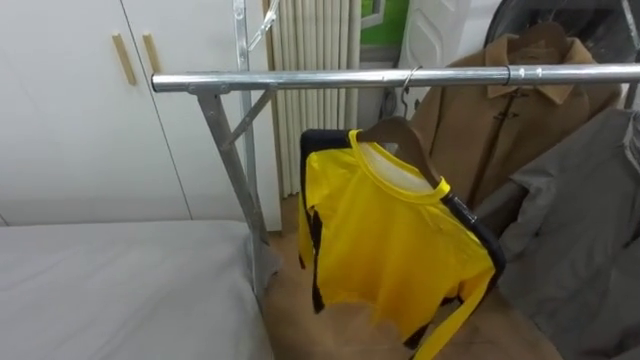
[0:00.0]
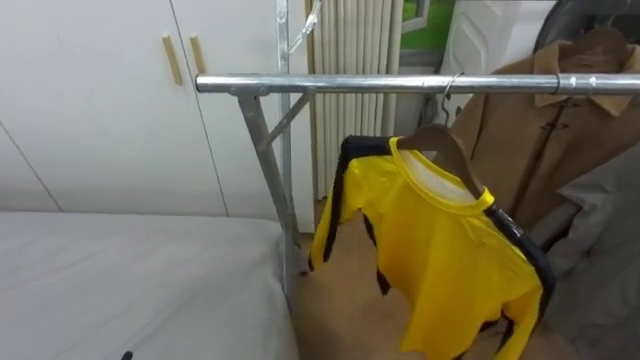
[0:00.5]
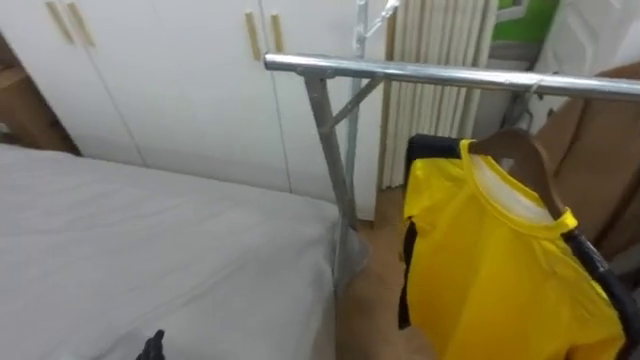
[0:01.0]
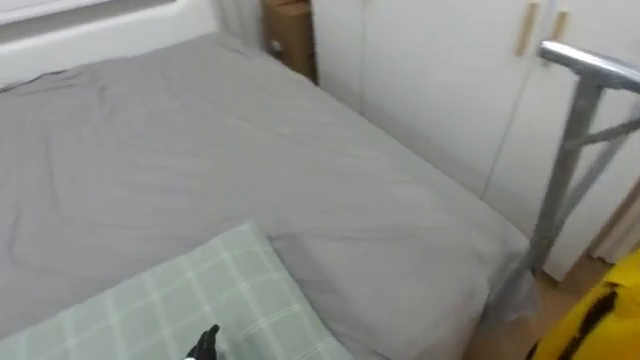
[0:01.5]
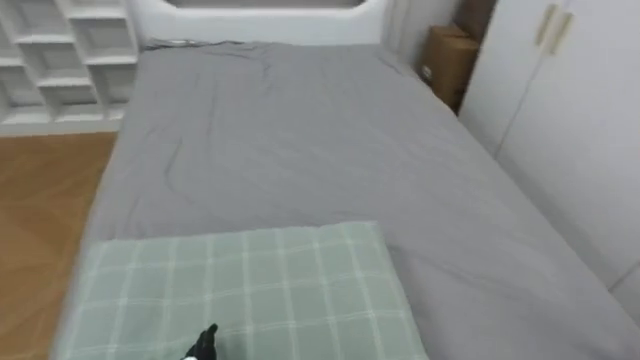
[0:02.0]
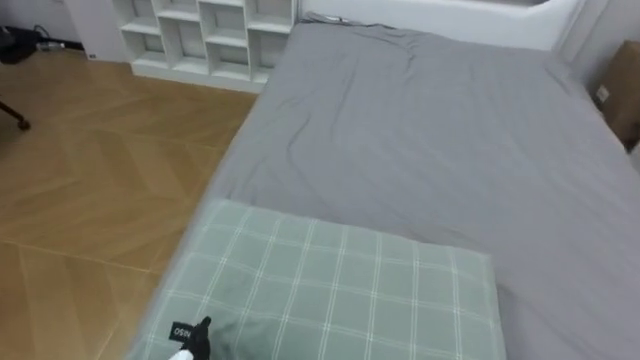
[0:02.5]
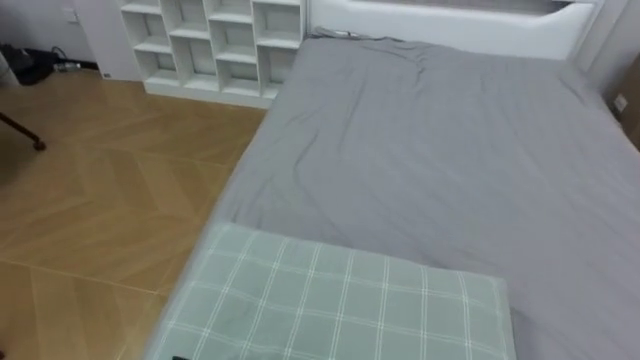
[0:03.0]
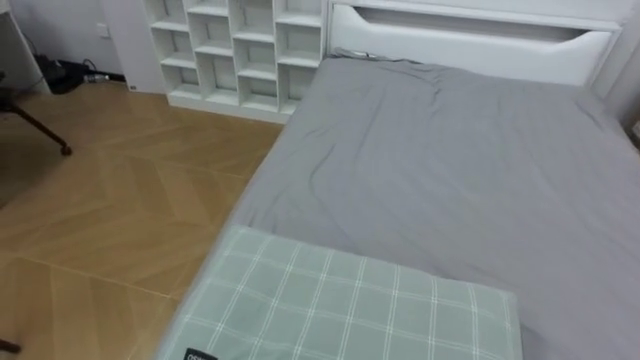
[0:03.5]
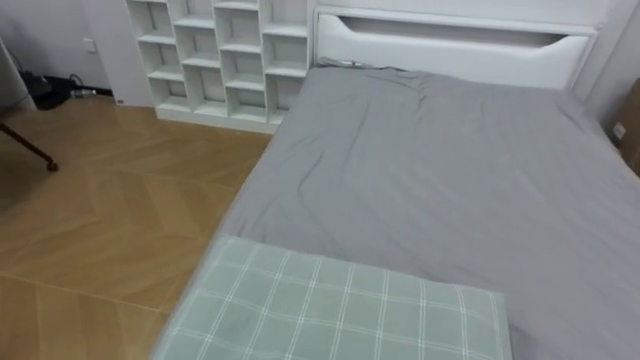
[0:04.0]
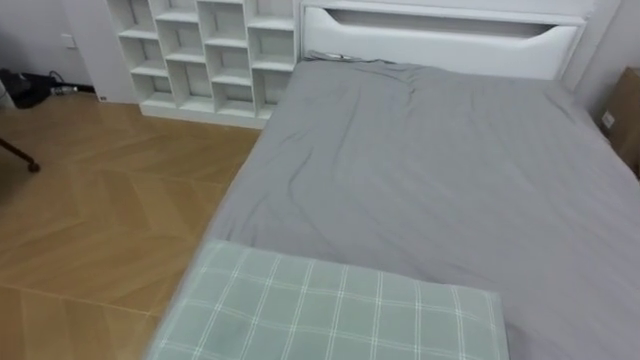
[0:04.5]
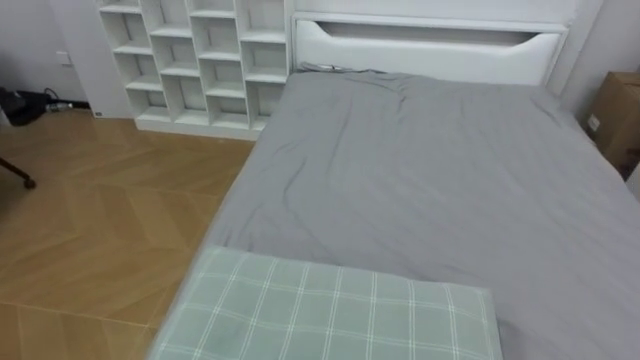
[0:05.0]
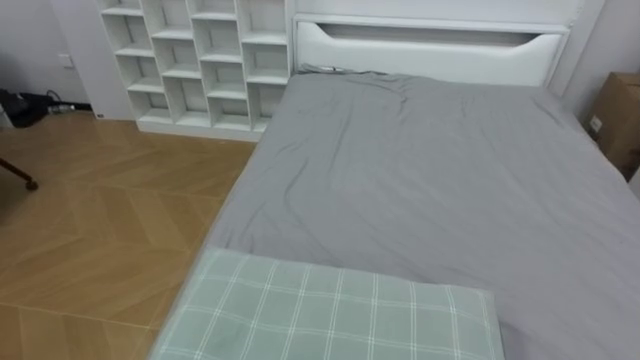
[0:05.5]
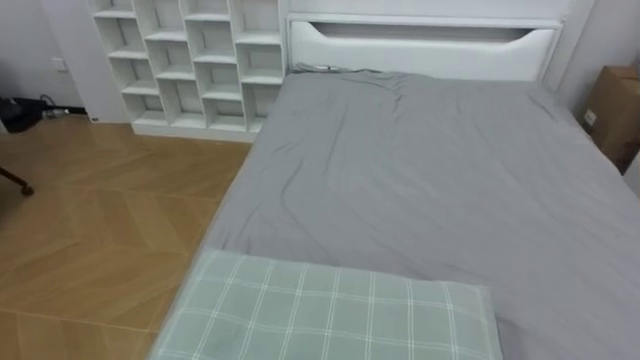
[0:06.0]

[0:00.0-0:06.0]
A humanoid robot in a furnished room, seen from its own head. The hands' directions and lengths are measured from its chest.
Task of the whole recording: Pick up the yellow shirt on the bed and hang it on the clothes rack on the right.
0:00.0 to 0:02.0: The robot turns to its left by about 80 degrees.
0:02.0 to 0:04.0: The robot rotates some 25 degrees to its left.

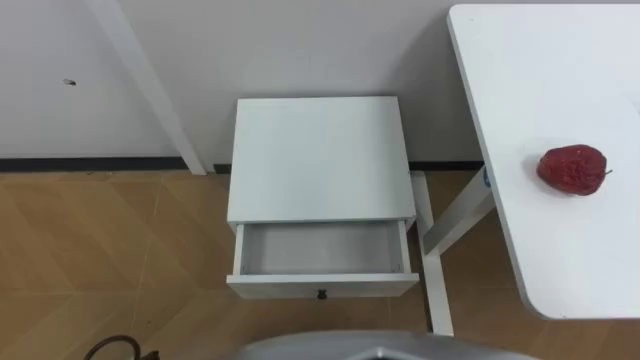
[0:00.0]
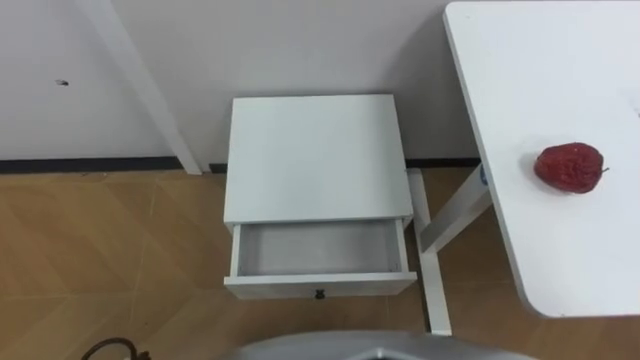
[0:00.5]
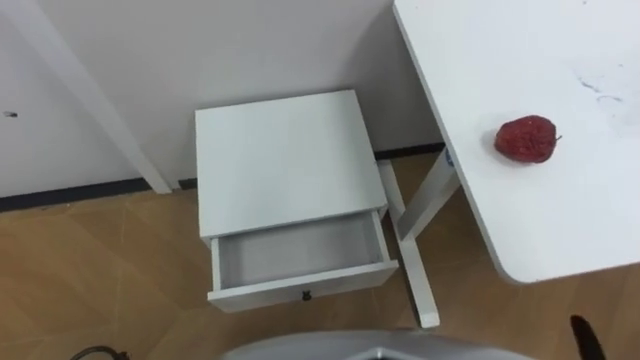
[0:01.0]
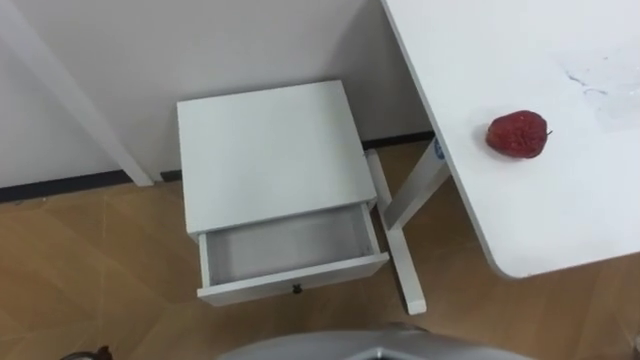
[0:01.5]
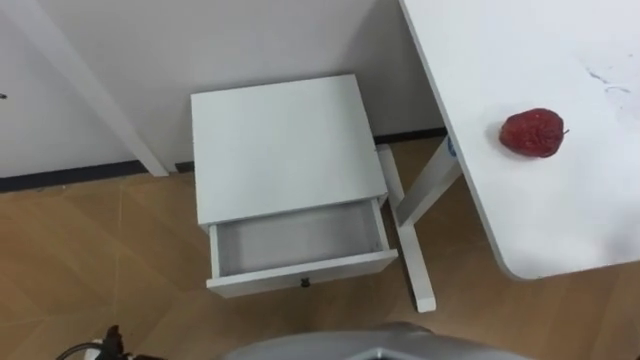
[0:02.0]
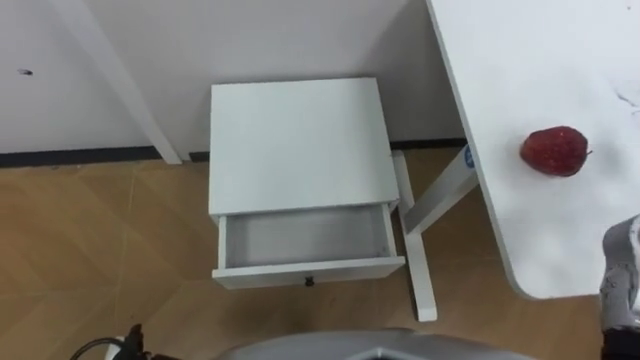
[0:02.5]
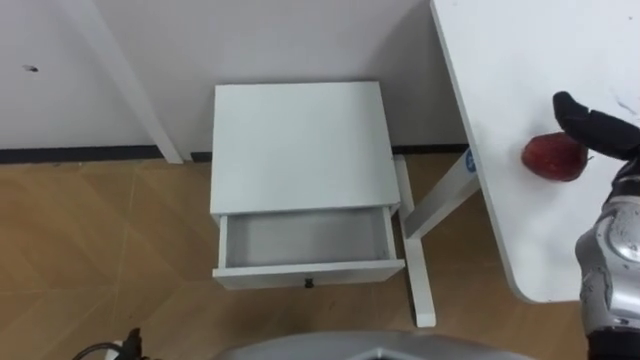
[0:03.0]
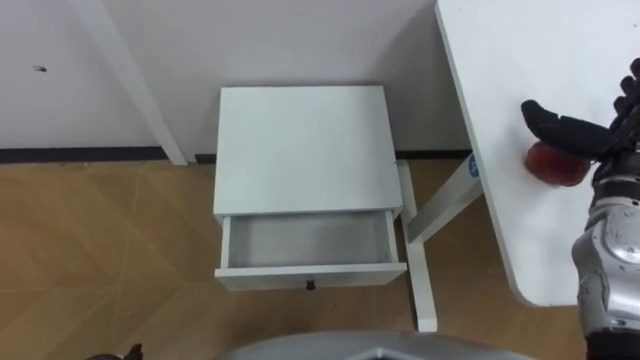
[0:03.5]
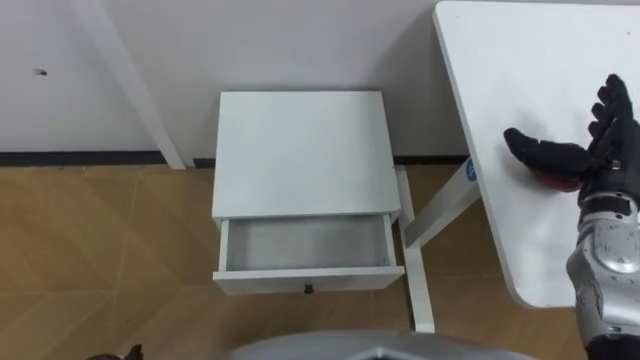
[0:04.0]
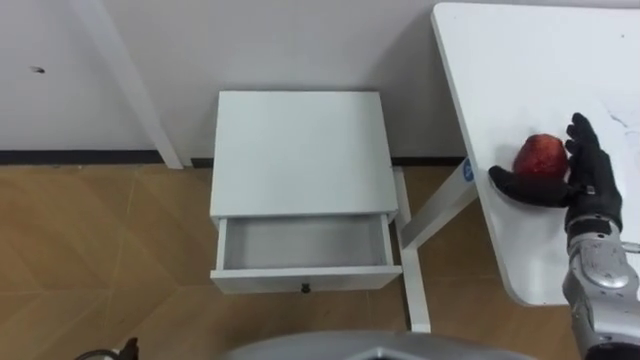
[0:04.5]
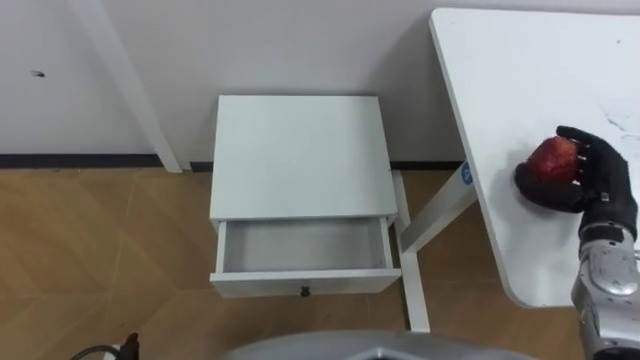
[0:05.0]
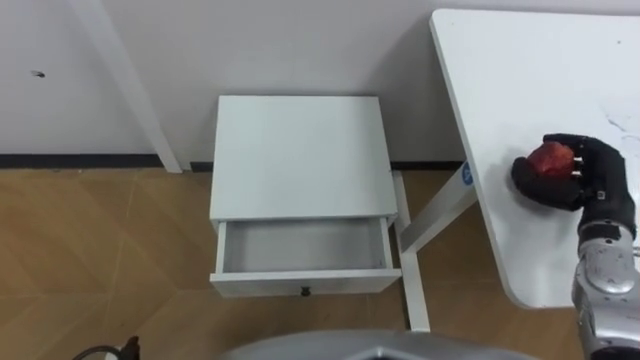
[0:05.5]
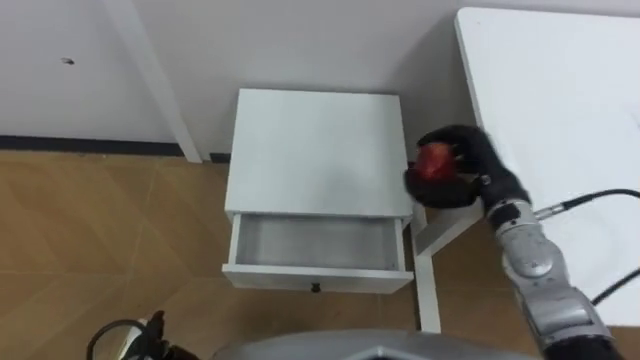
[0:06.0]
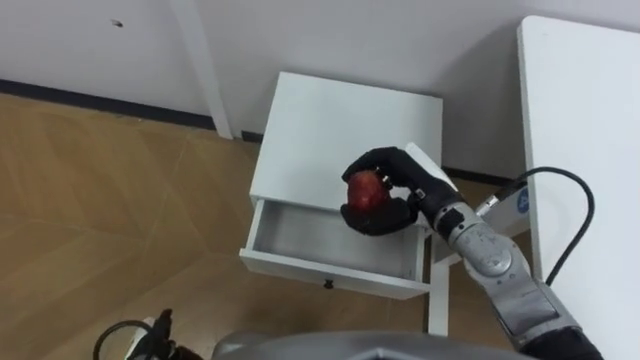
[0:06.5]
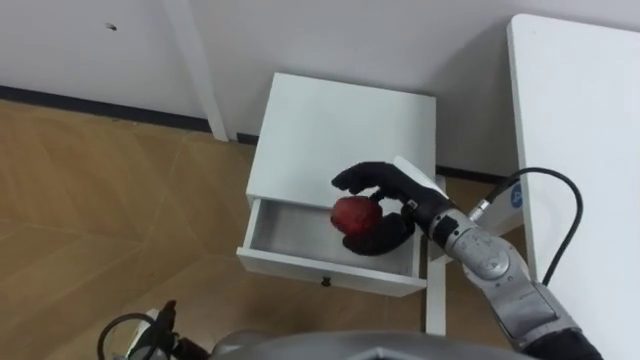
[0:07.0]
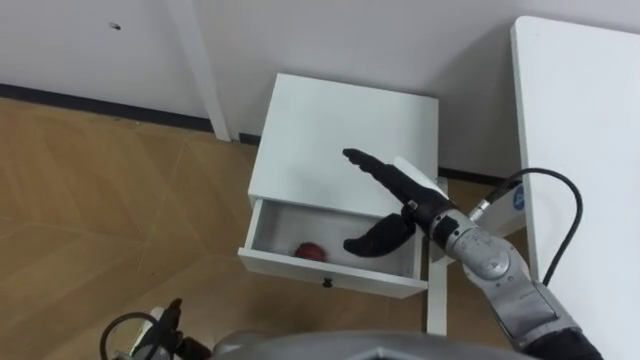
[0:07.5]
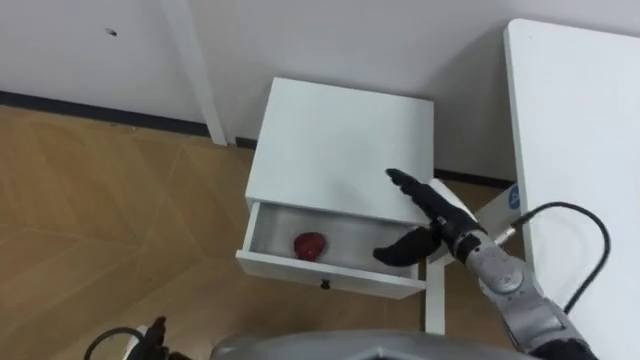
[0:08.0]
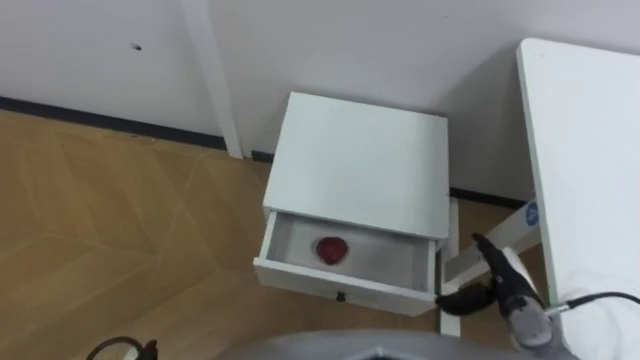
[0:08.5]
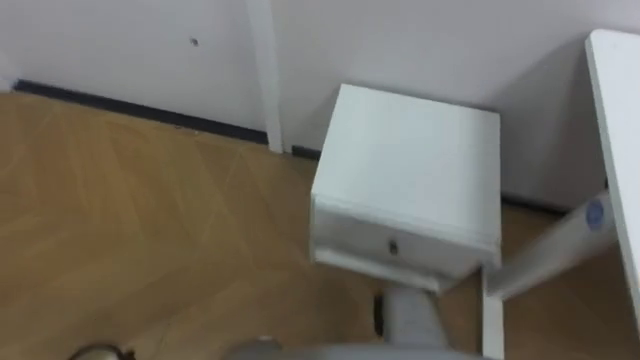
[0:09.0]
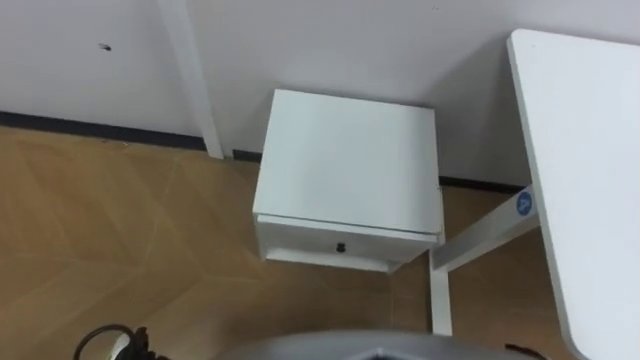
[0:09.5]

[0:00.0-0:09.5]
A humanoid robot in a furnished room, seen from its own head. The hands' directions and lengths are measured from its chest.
Task of the whole recording: Pick up the apple from the table, put it in the drawer, and close the drawer with leg.
0:04.0 to 0:05.5: The right hand closes its fingers.
0:05.5 to 0:07.5: The right hand is displaced to the left by about 25 cm, and opens up.

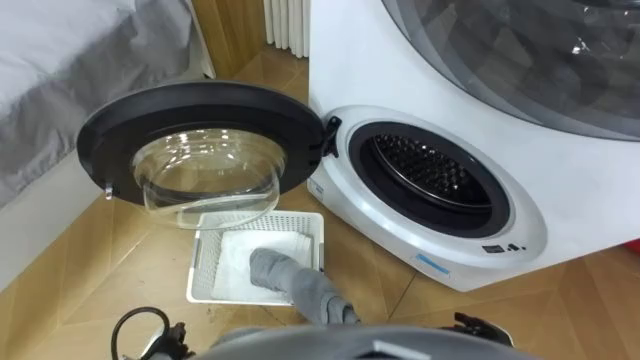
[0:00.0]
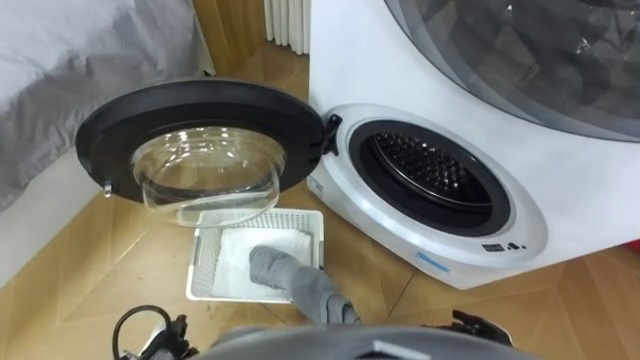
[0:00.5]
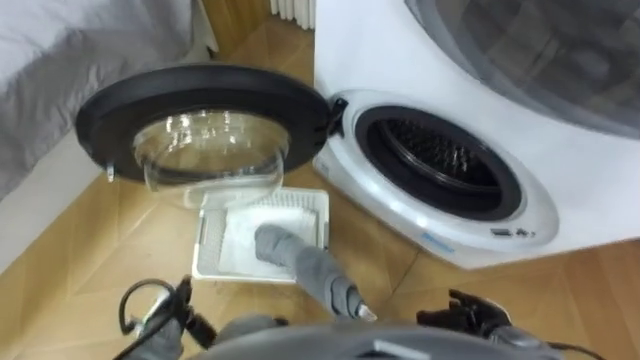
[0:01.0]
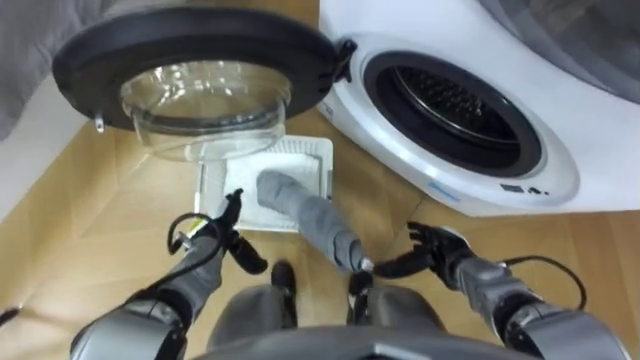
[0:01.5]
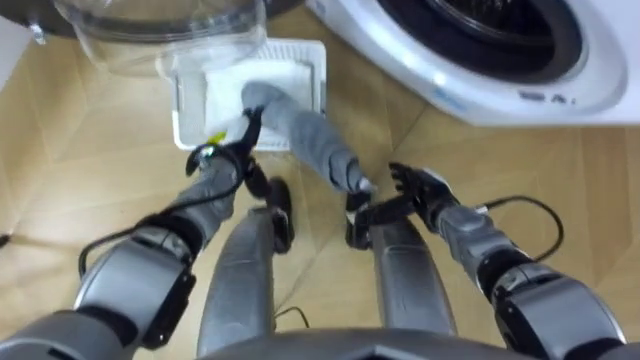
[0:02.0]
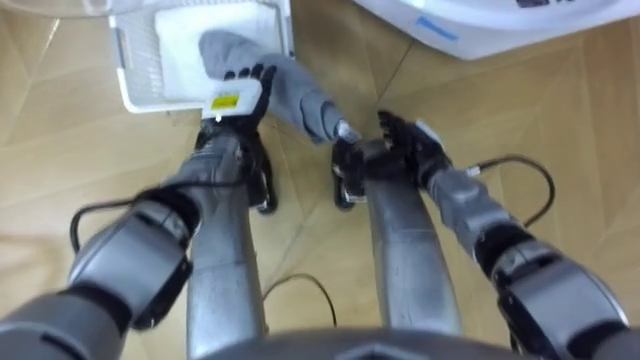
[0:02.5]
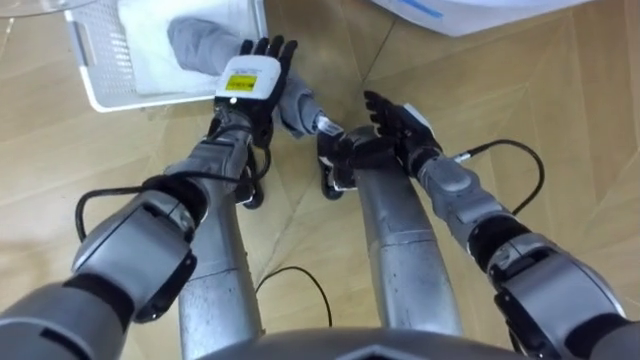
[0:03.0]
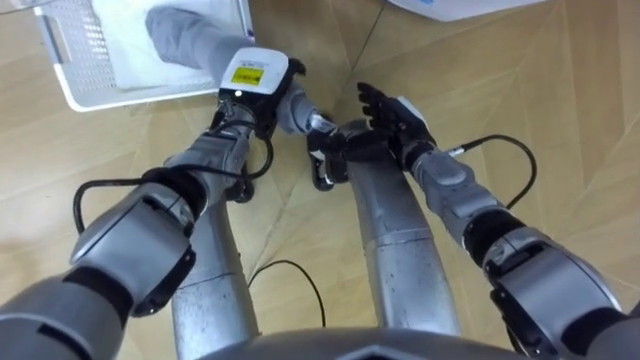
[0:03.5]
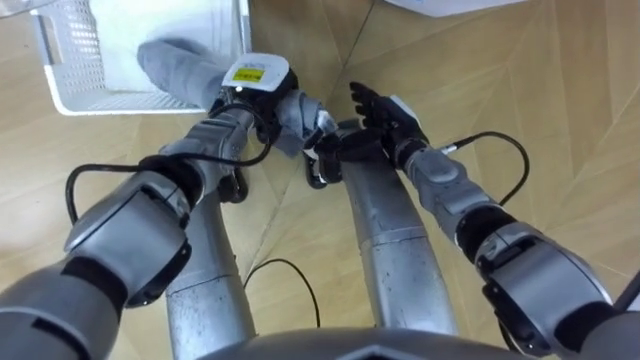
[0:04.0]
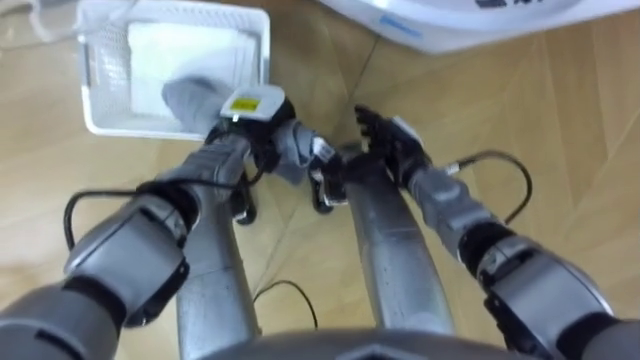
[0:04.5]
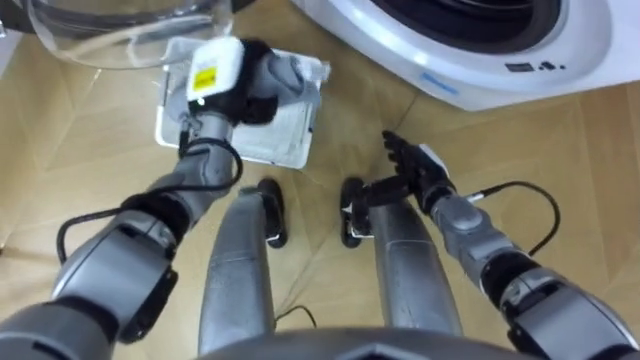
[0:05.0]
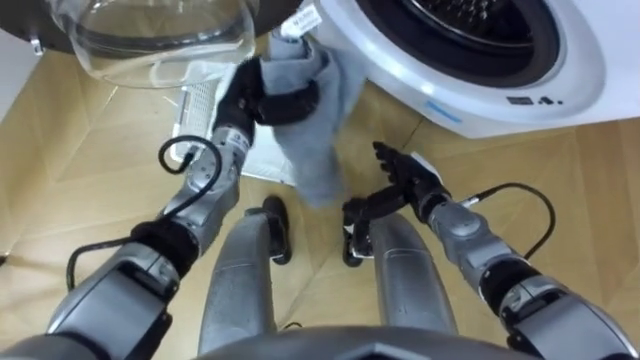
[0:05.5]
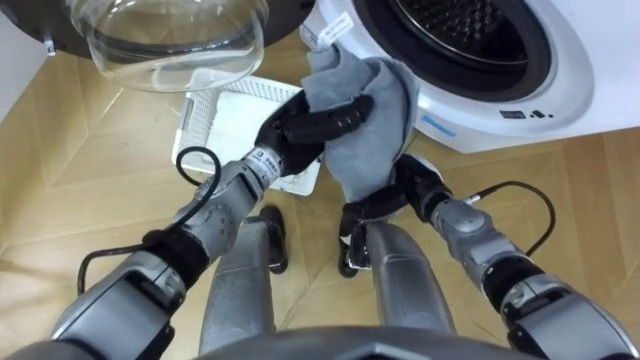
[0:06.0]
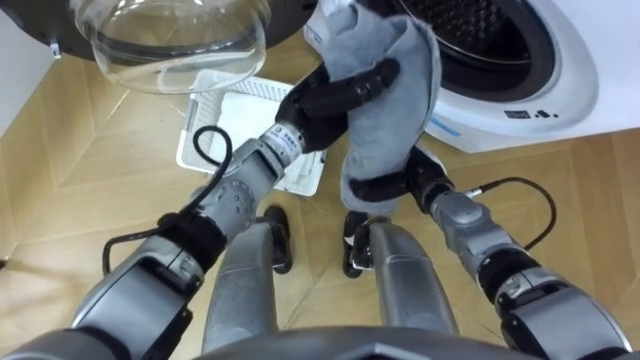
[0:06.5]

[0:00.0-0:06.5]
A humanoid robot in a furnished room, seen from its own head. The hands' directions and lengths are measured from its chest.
Task of the whole recording: Take the towel from the basket and put it into the washing machine.
0:02.0 to 0:04.5: The left hand closes its fingers. The right hand shifts some 5 cm to the left and upward.
0:04.5 to 0:06.5: The left hand is displaced to the right and upward by about 10 cm; the right hand closes.
